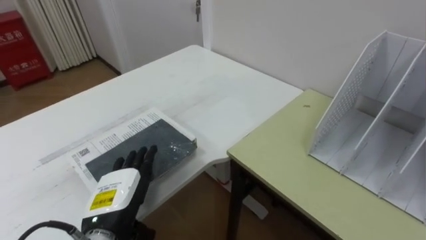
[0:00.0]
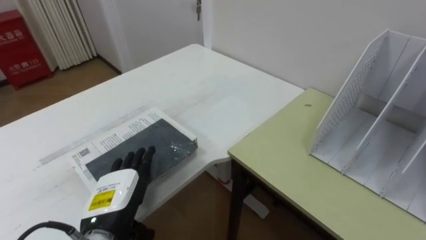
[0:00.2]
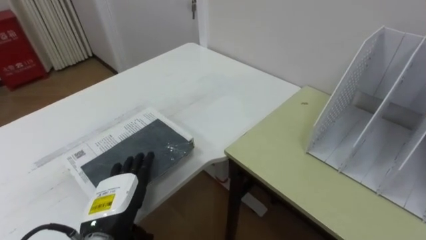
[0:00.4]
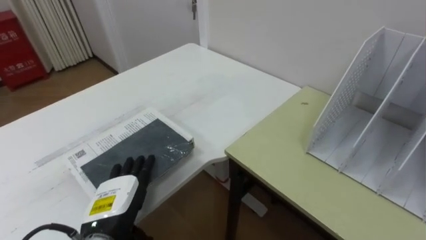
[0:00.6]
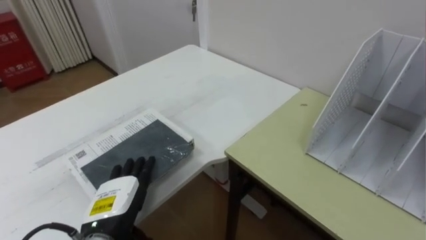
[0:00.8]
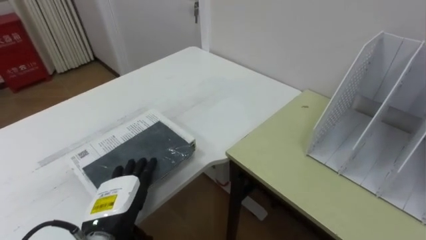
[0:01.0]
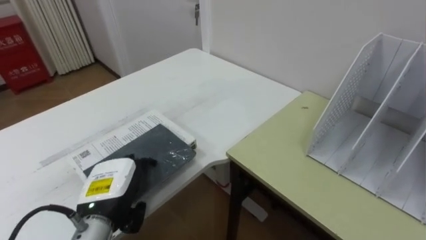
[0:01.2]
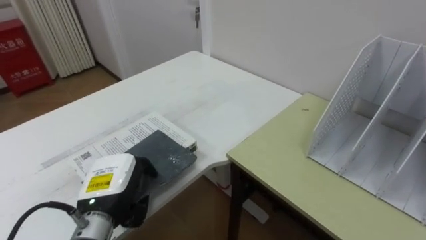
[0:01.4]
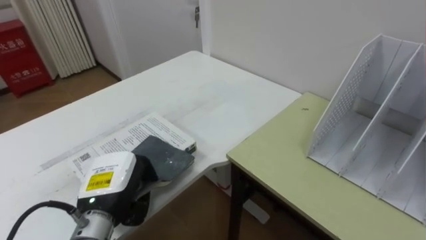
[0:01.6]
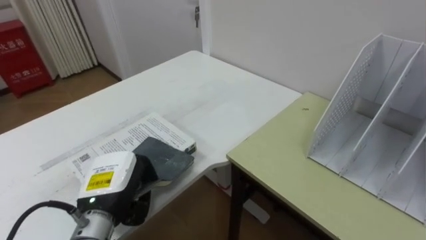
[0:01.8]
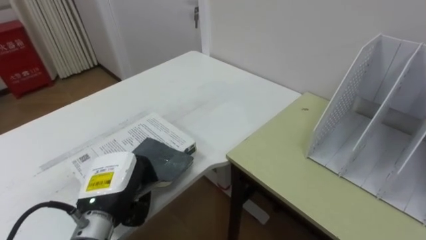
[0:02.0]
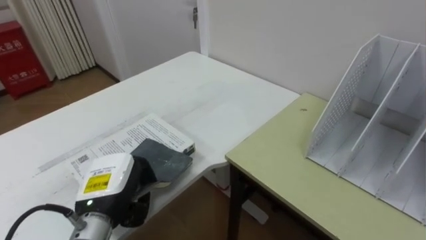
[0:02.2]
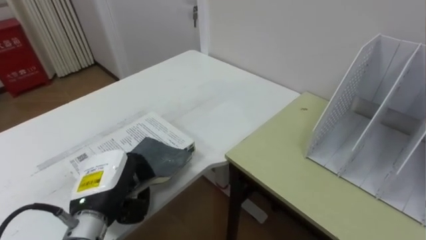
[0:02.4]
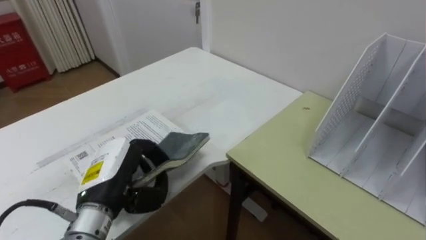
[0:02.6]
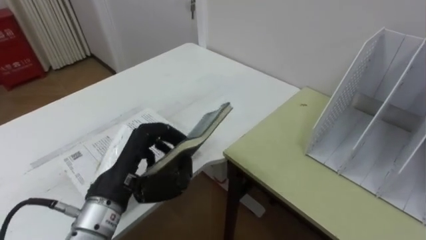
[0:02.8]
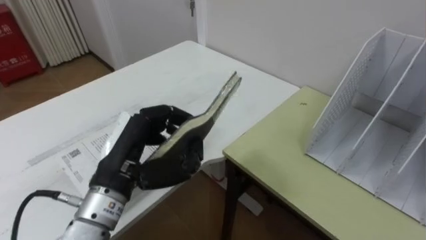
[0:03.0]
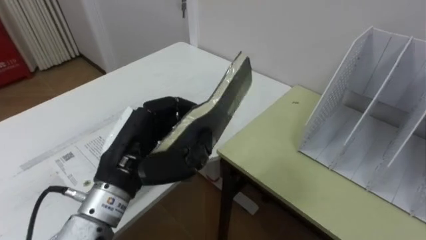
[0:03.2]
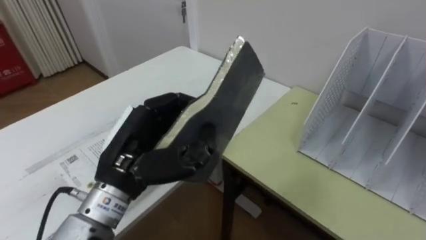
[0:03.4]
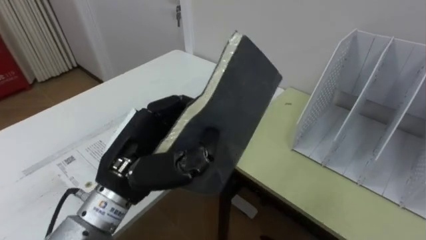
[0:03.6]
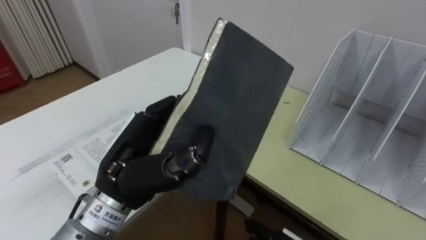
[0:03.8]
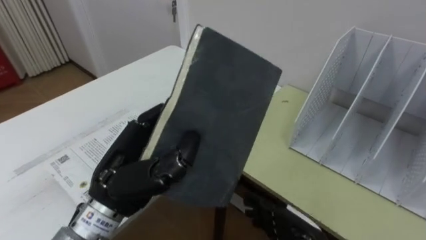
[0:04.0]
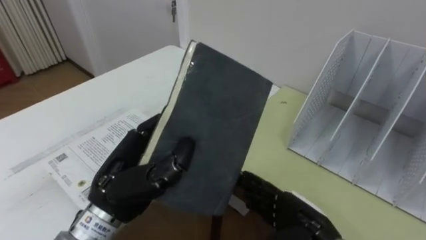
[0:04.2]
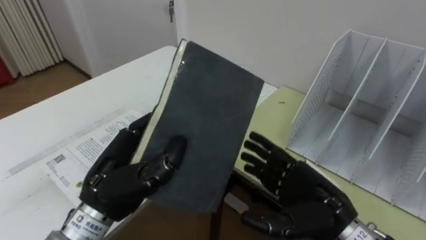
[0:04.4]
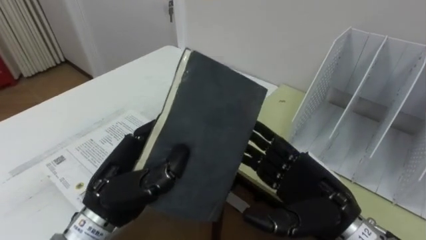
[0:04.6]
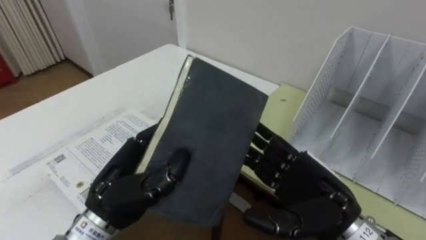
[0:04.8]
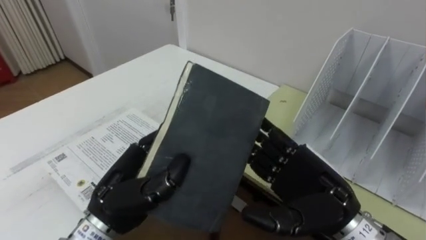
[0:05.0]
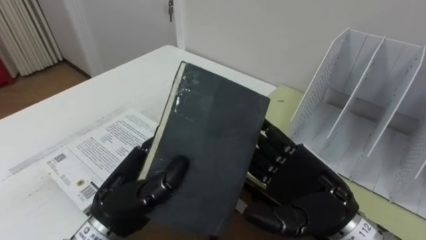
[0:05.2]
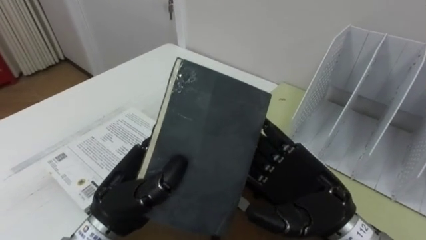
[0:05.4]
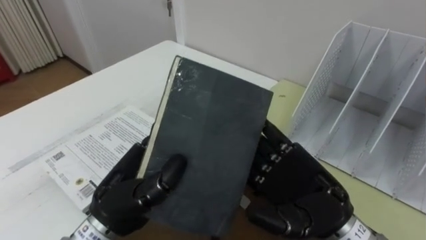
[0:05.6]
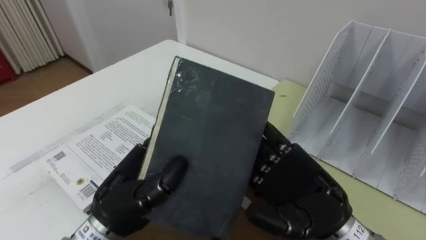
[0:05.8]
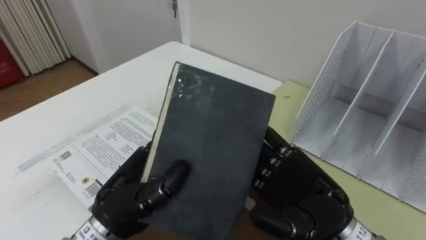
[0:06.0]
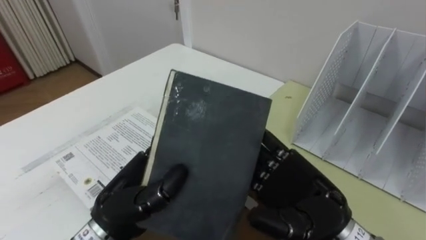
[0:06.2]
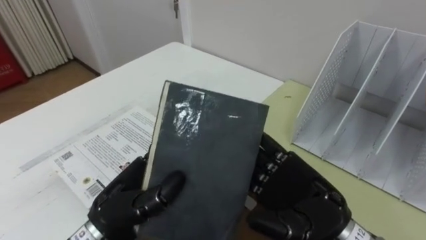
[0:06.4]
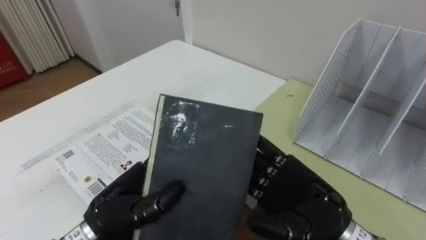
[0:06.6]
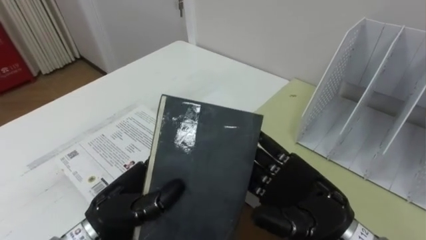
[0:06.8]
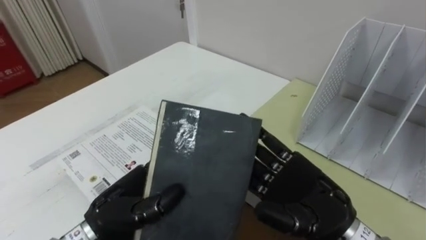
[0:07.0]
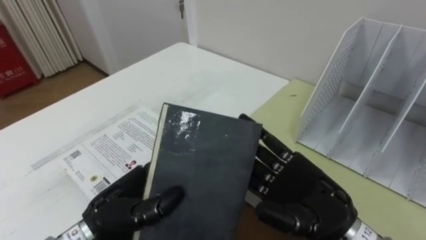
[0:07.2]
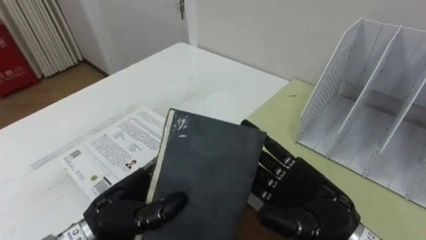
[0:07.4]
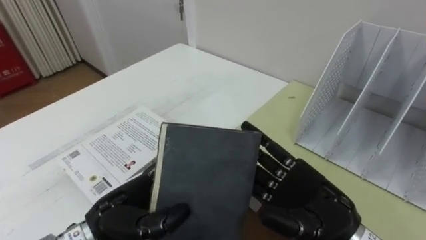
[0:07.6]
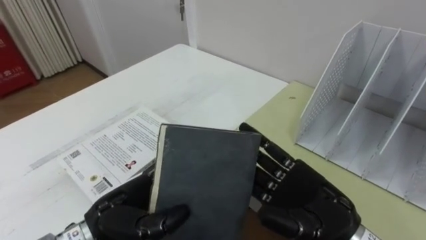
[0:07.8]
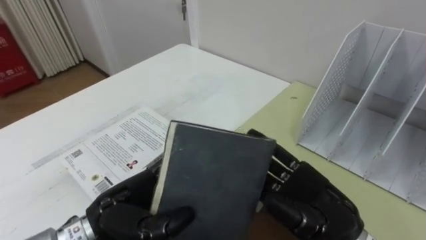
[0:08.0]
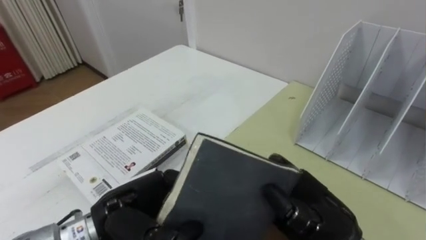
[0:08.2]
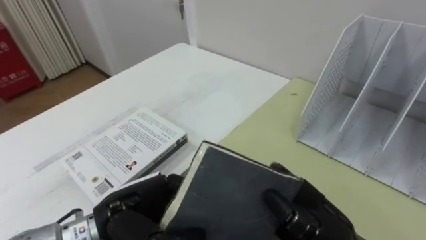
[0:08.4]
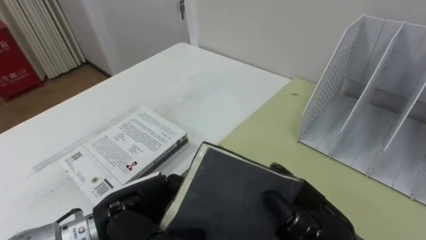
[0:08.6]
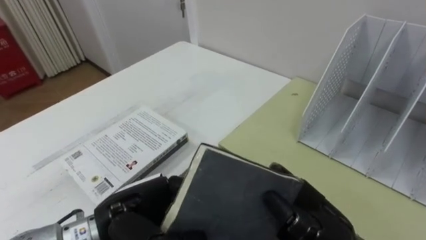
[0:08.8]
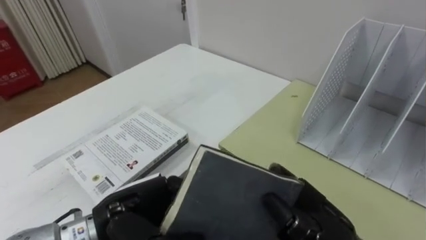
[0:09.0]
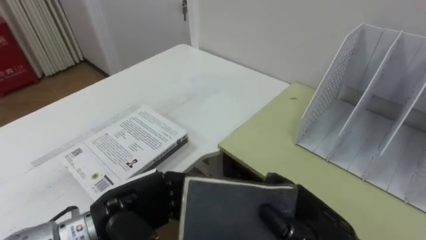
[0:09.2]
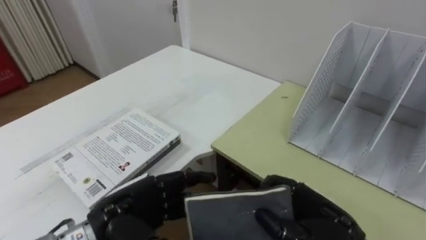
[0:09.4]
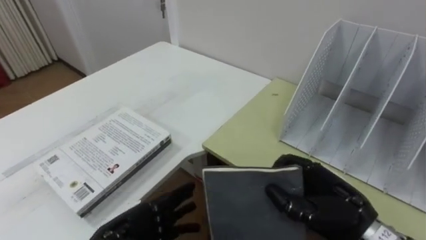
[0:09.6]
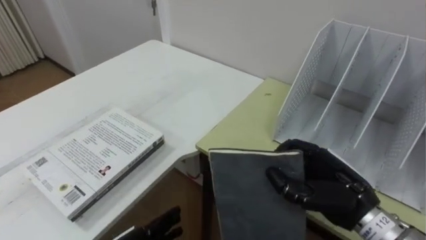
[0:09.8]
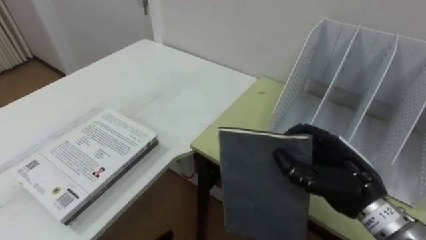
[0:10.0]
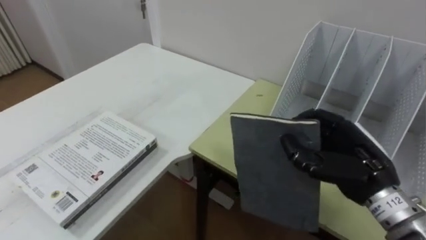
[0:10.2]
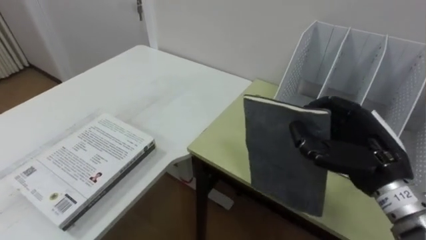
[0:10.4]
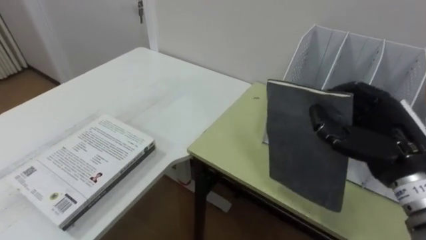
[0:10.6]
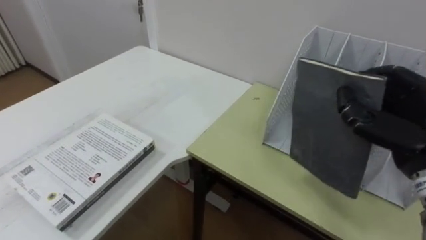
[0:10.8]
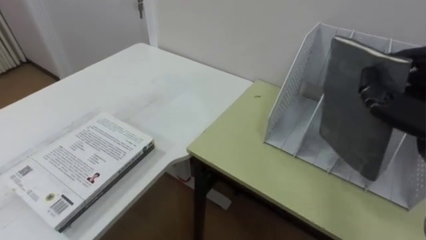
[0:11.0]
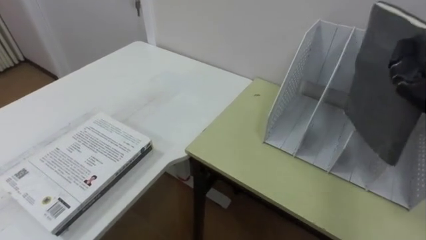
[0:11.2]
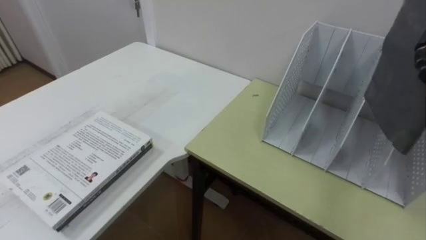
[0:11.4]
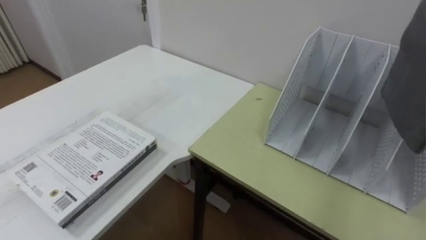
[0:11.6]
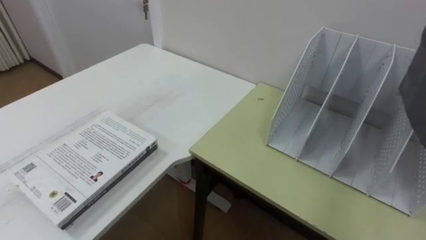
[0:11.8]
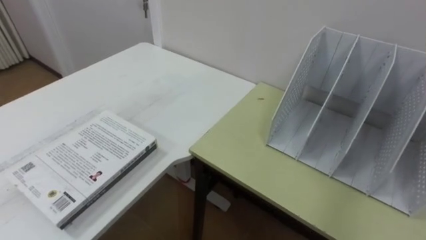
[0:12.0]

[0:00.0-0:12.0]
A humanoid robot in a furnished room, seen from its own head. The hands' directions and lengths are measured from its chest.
Task of the whole recording: Put the books on the table onto the bookshelf.
0:00.0 to 0:01.6: The left hand closes.
0:01.6 to 0:03.0: The left hand heads upward, covering some 10 cm.
0:04.4 to 0:06.0: The right hand goes about 5 cm upward.
0:06.0 to 0:07.6: The left hand ends up some 5 cm from where it was.
0:07.6 to 0:09.0: The right hand closes up.
0:09.0 to 0:10.4: The right hand moves to the right, forward and upward, some 10 cm.

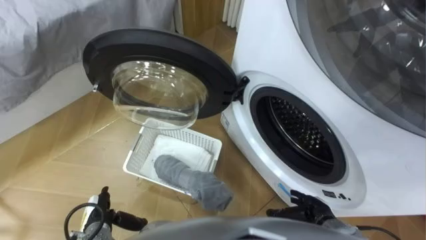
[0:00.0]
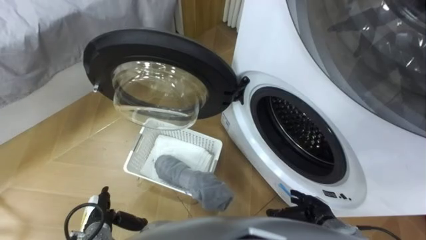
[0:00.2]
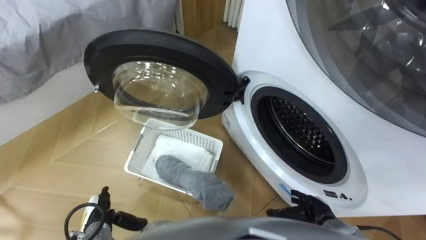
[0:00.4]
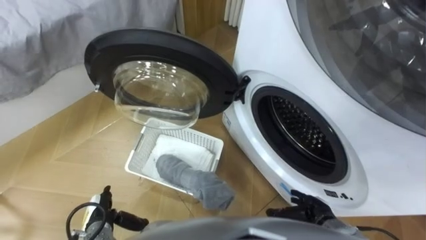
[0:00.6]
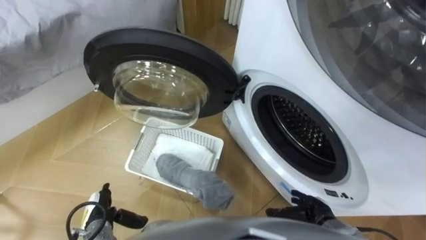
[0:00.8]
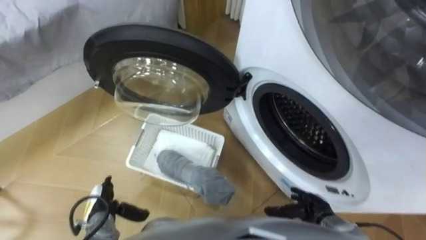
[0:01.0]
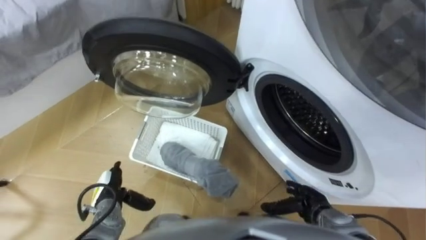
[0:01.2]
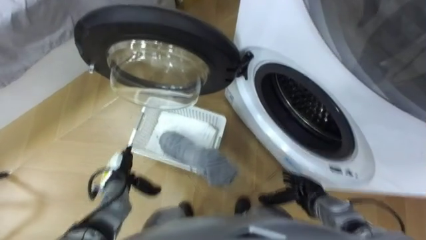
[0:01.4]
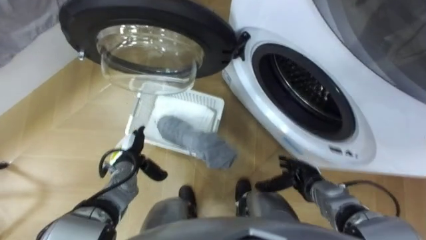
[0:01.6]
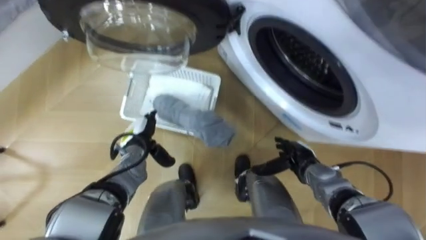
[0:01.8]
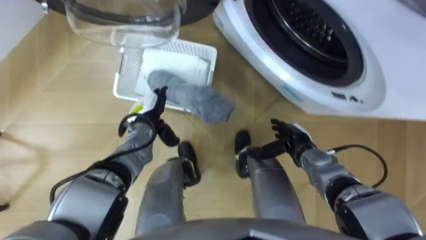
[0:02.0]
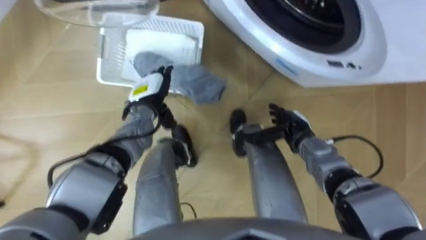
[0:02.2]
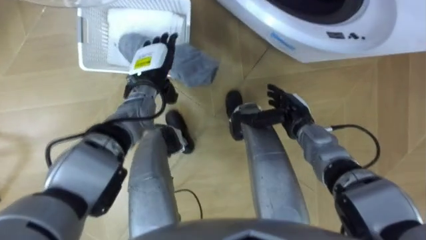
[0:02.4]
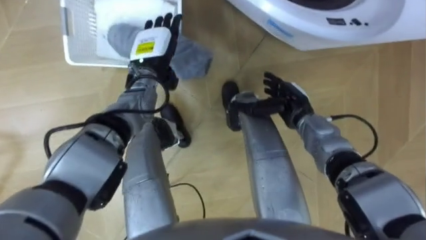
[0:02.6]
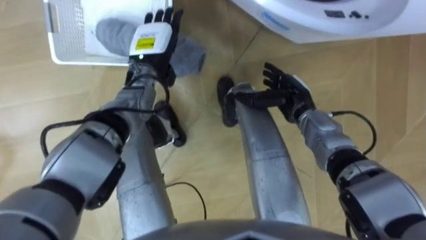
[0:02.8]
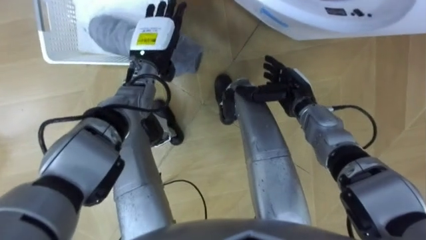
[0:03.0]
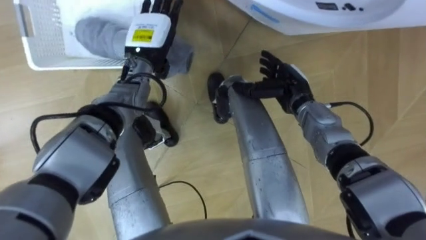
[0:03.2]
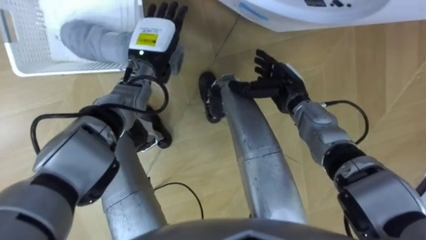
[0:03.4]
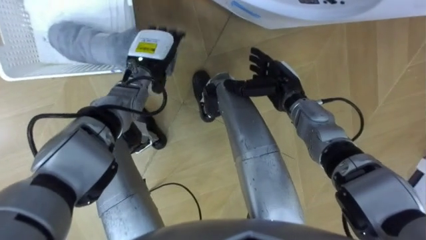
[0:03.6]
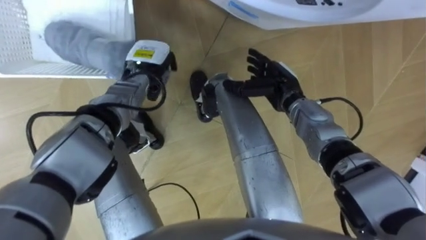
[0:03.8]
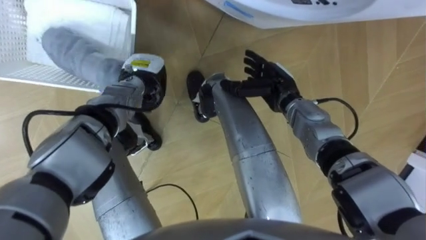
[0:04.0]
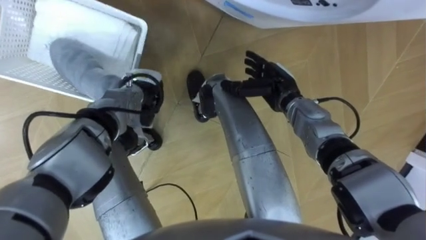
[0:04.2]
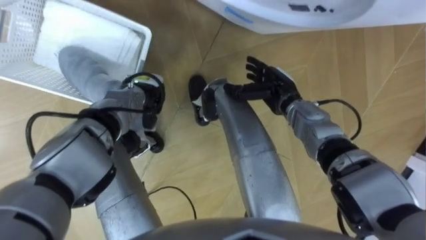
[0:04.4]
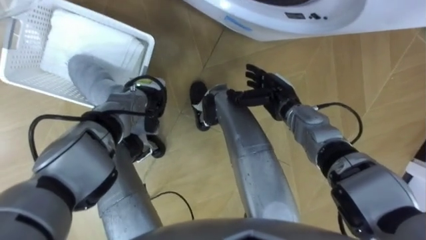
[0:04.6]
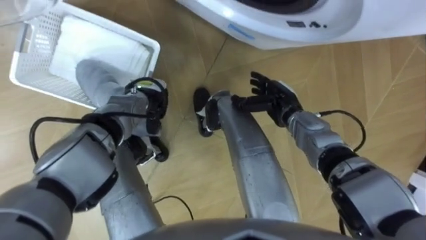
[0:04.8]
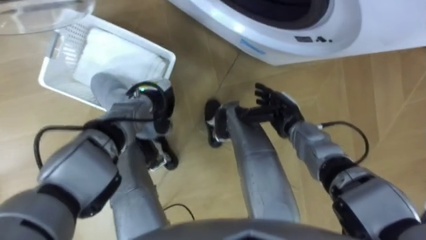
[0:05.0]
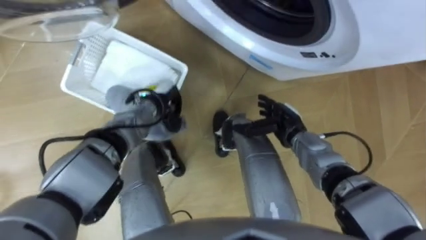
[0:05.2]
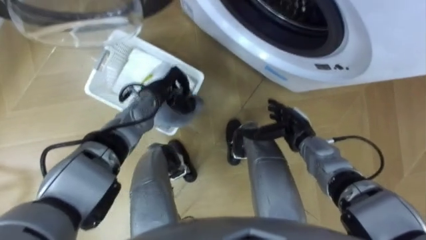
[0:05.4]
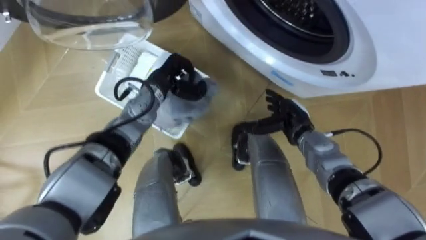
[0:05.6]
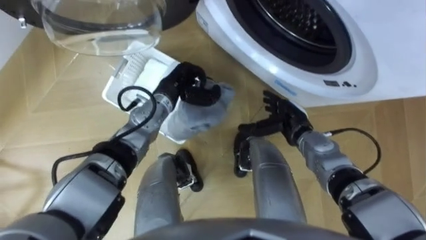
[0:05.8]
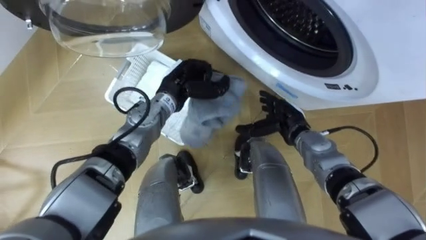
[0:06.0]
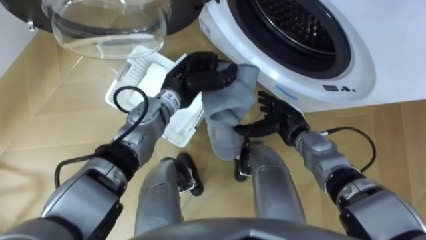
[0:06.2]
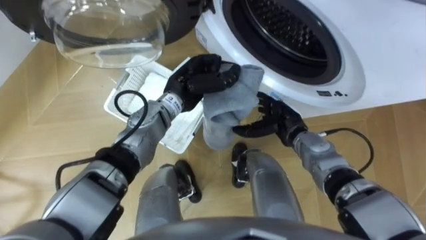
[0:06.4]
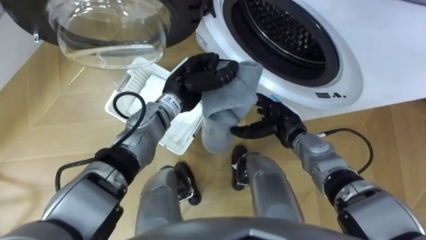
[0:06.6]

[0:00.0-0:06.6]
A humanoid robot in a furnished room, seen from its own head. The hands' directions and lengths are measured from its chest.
Task of the whole recording: Take the towel from the basket and put it into the washing machine.
0:01.6 to 0:03.2: The left hand is displaced forward, upward and to the right by roughly 30 cm; the right hand moves forward and upward, approximately 20 cm.
0:03.2 to 0:05.0: The left hand shifts roughly 15 cm downward and backward, and closes its fingers. The right hand moves some 5 cm.
0:05.0 to 0:06.6: The left hand moves to the right and upward, about 10 cm.
